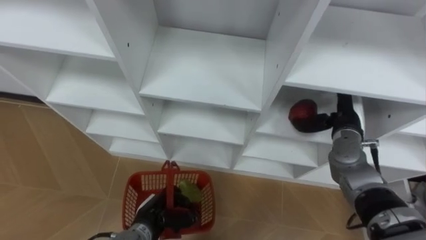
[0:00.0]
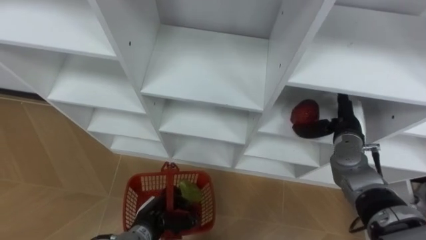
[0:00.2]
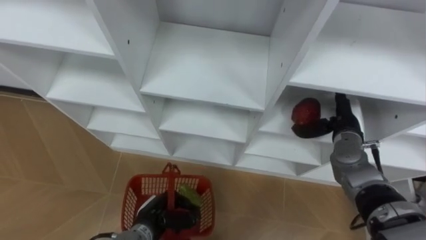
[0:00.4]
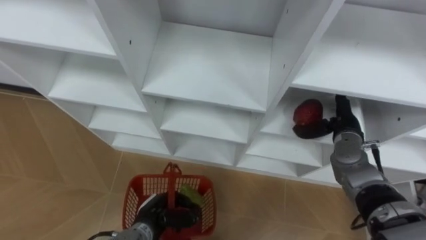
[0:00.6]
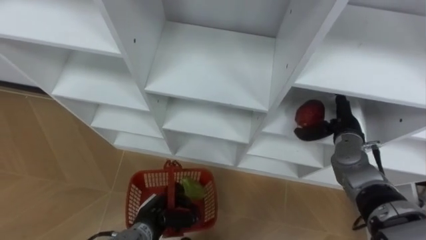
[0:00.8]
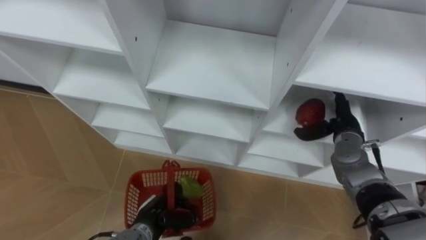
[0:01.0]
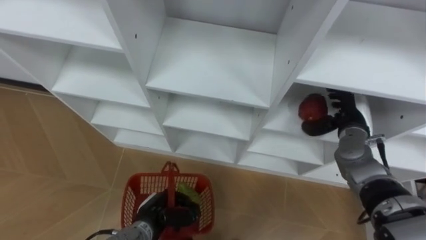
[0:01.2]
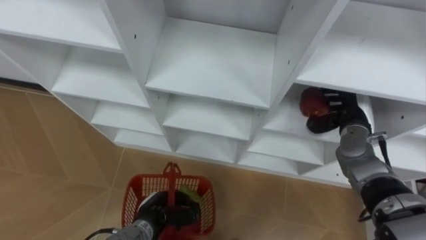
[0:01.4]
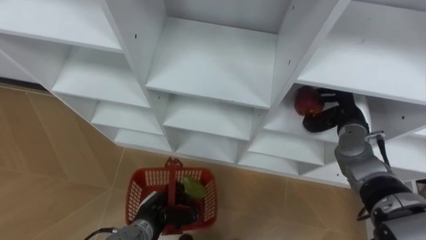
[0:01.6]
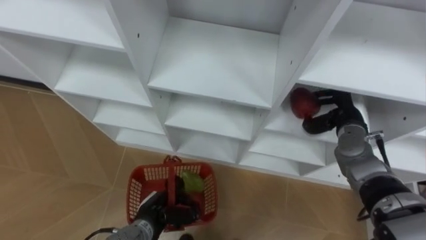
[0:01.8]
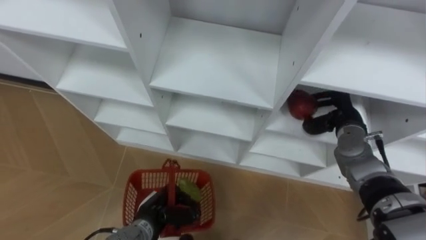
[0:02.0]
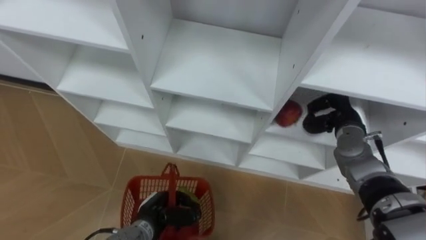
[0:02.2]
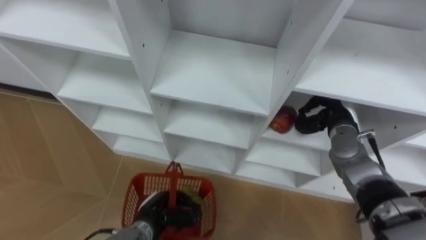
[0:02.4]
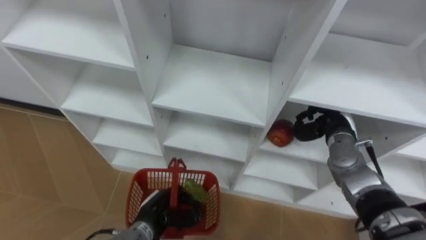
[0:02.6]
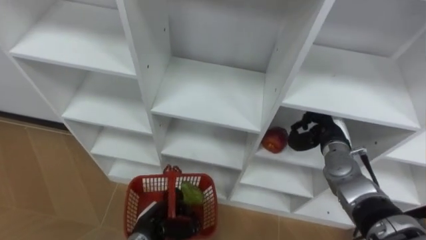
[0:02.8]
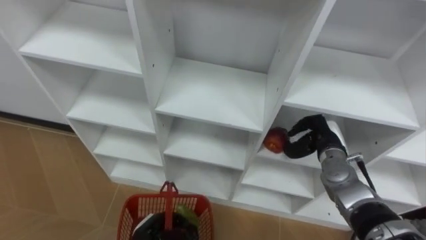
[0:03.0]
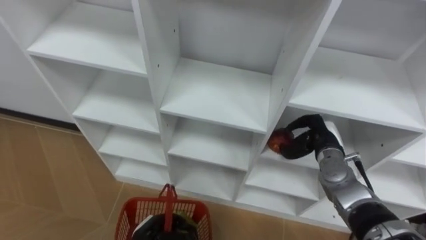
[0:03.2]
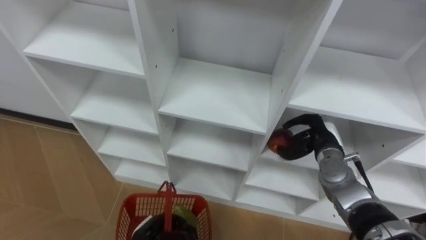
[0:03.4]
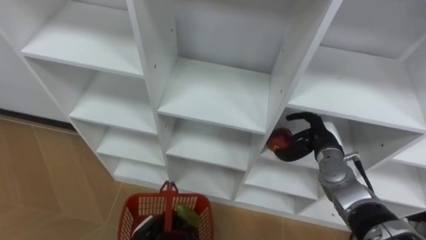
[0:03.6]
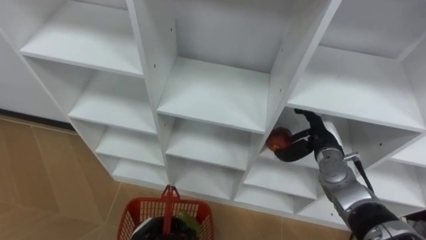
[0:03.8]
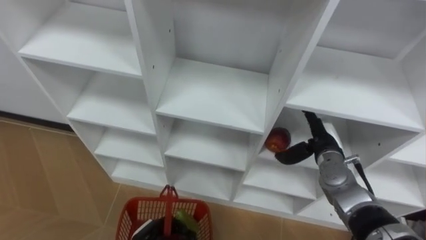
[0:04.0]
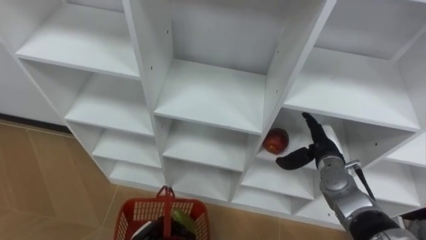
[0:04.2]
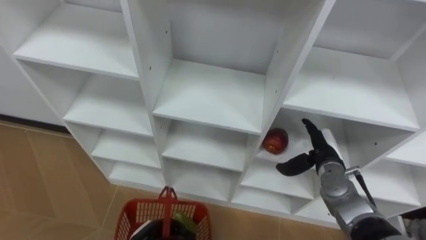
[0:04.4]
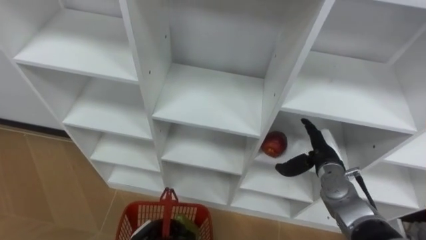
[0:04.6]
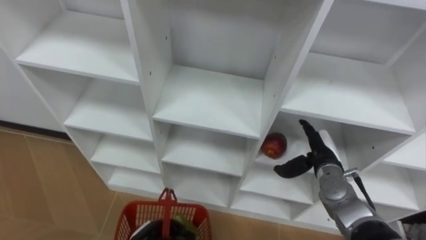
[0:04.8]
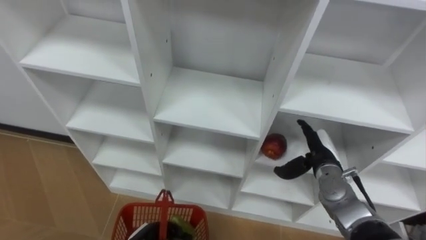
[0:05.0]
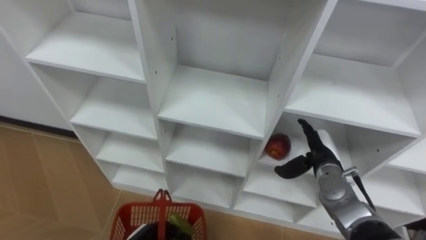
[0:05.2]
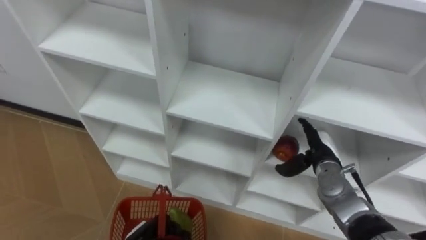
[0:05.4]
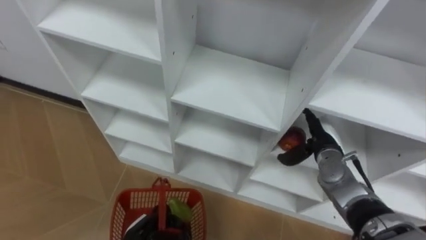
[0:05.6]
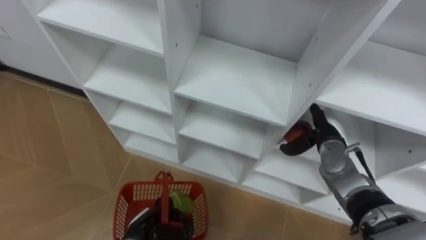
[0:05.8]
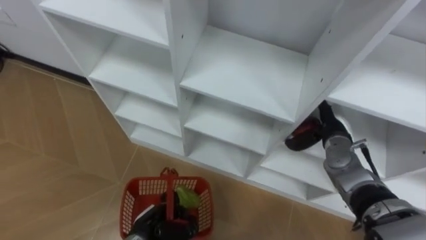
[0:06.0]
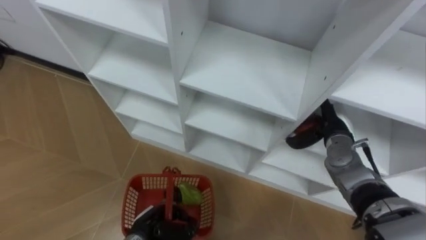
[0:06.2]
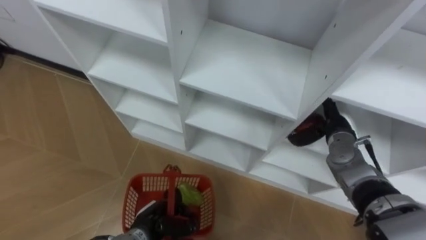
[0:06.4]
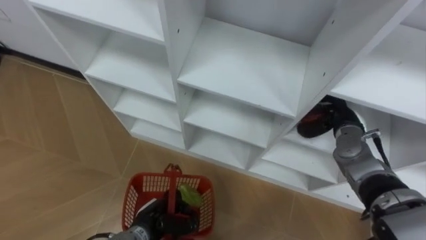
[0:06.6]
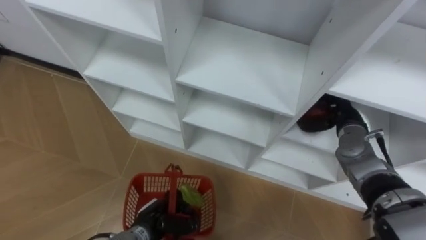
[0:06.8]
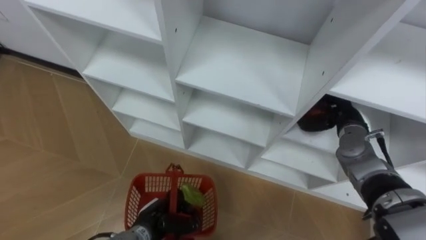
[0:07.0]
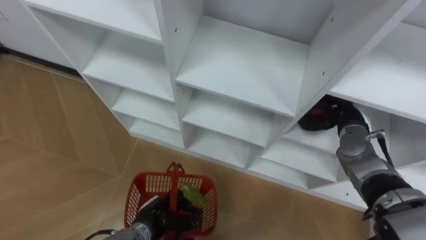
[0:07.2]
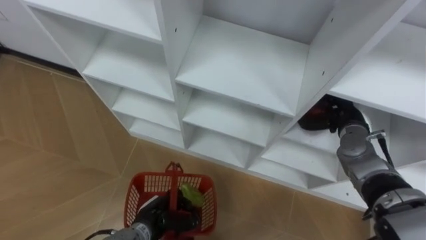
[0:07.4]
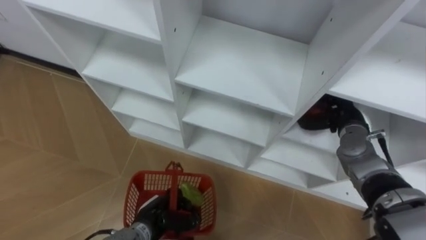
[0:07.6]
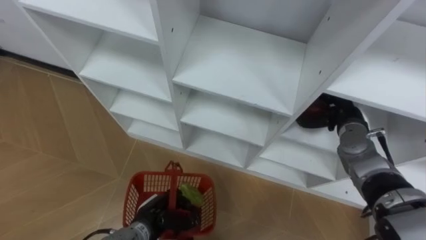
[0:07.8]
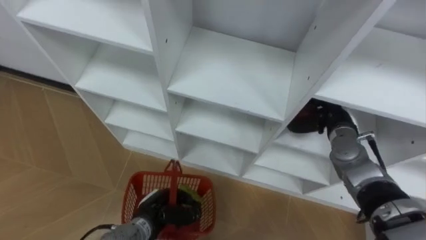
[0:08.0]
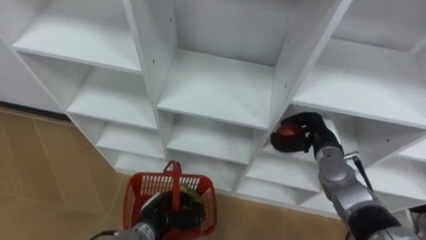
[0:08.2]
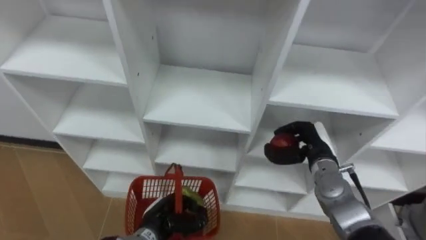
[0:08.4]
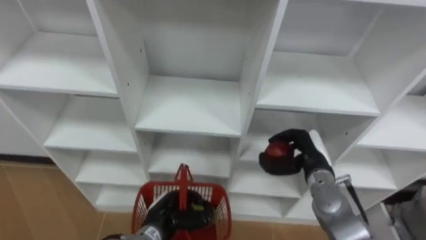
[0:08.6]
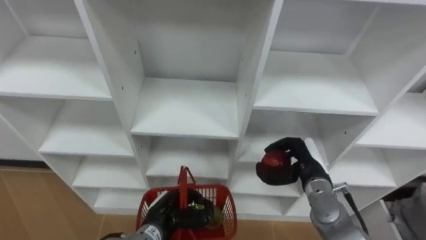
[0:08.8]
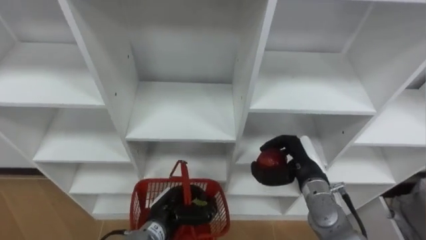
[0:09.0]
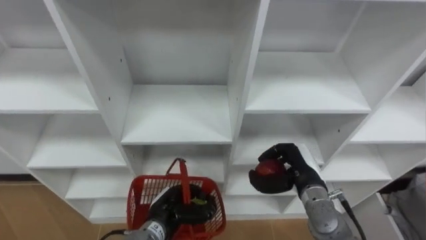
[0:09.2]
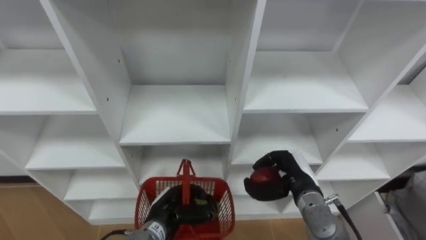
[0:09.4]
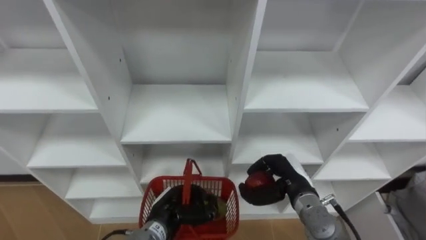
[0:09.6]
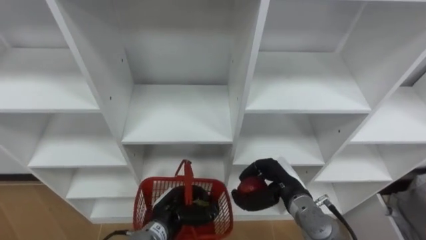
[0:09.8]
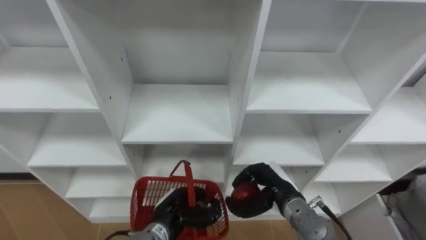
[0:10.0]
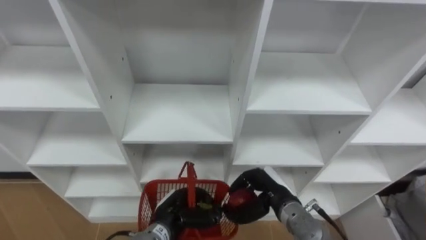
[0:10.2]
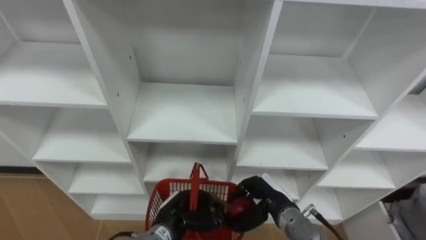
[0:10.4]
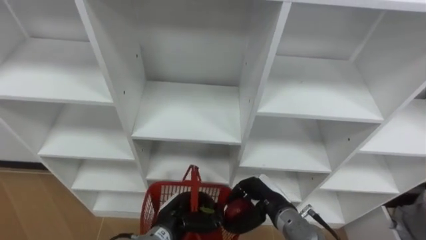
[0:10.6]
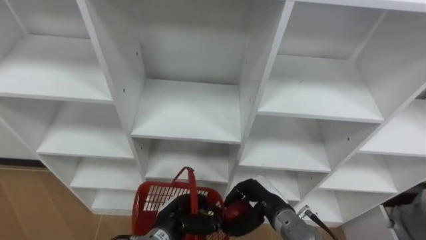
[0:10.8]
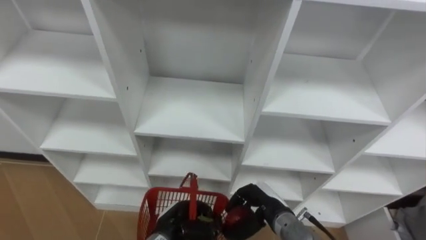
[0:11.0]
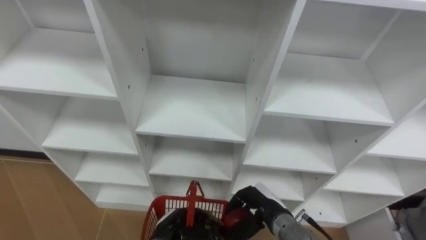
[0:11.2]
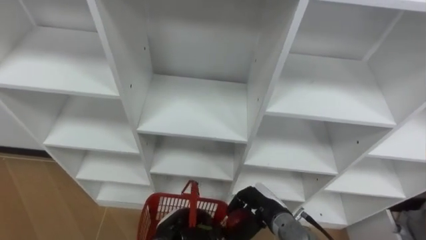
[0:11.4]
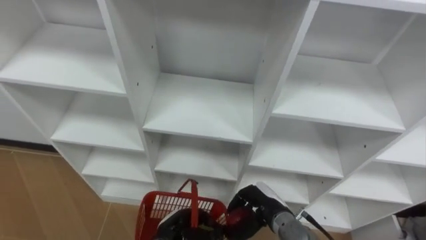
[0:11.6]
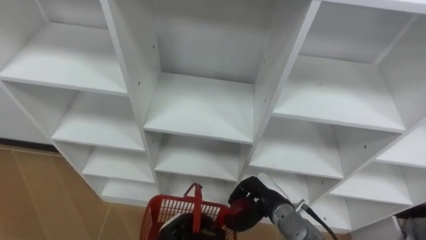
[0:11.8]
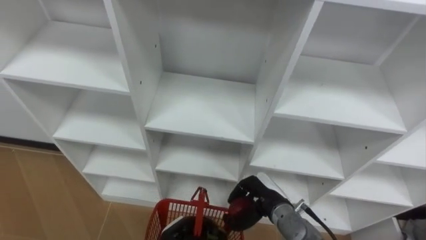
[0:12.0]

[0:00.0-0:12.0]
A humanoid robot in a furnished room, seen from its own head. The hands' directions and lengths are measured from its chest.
Task of the whole recording: Hold the basket and collect the fruits from 3 different cells of the closet into it.
0:00.0 to 0:01.6: The right hand closes its fingers.
0:01.6 to 0:03.0: The right hand shifts by roughly 5 cm.
0:03.0 to 0:04.4: The right hand opens its fingers.
0:04.4 to 0:06.0: The right hand ends up about 5 cm from where it was.
0:06.0 to 0:07.6: The right hand closes.
0:07.6 to 0:09.0: The right hand heads to the left and backward, covering approximately 15 cm.
0:09.0 to 0:10.4: The right hand moves to the left, backward and downward, about 10 cm.
0:10.4 to 0:12.0: The left hand shifts by approximately 5 cm.

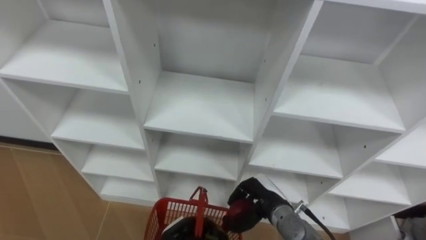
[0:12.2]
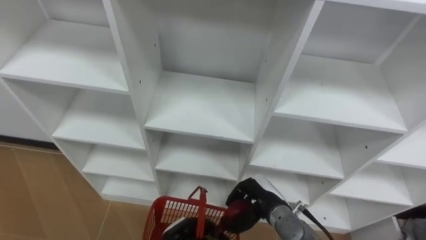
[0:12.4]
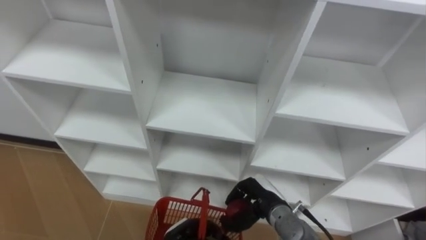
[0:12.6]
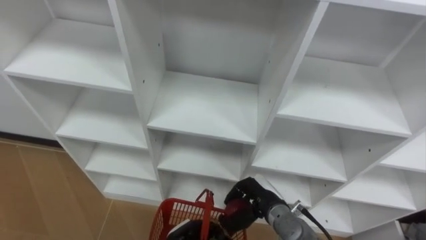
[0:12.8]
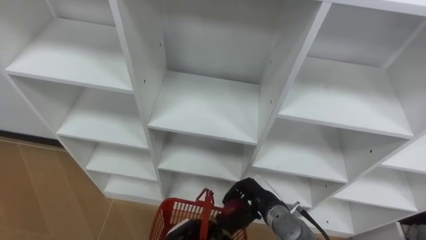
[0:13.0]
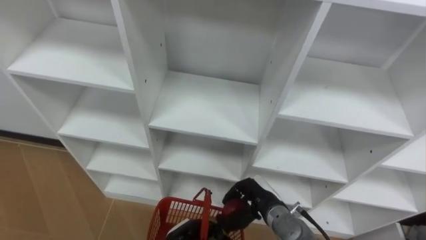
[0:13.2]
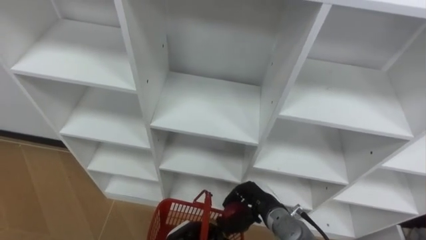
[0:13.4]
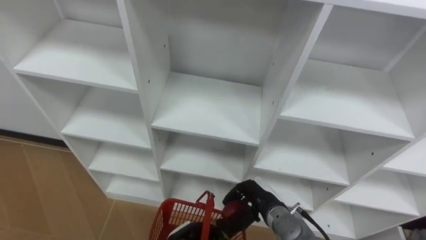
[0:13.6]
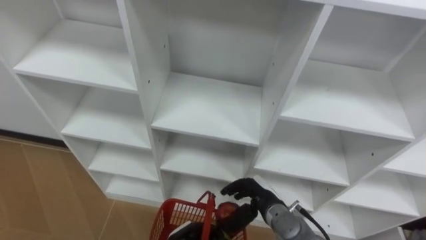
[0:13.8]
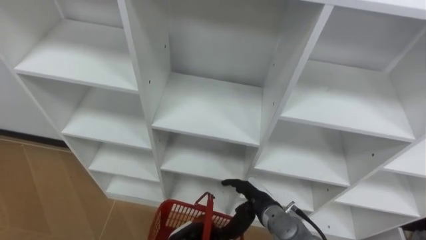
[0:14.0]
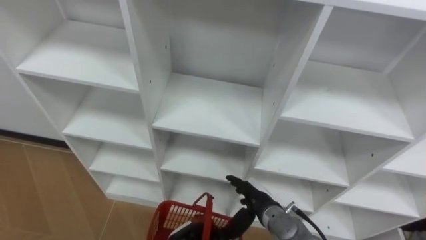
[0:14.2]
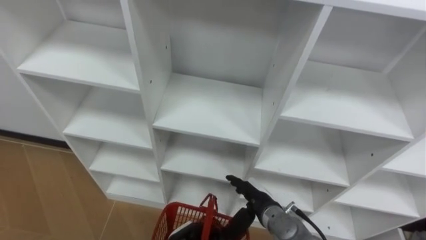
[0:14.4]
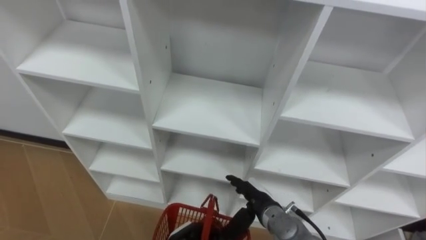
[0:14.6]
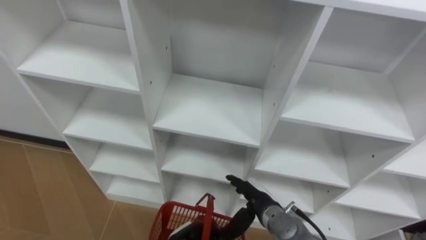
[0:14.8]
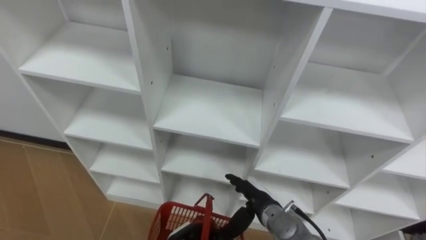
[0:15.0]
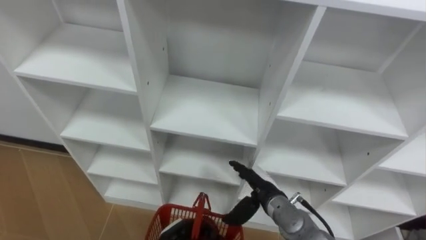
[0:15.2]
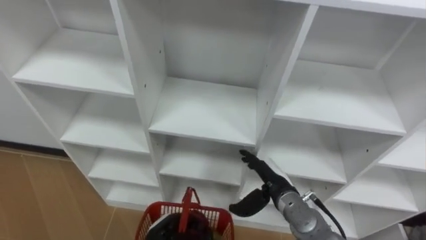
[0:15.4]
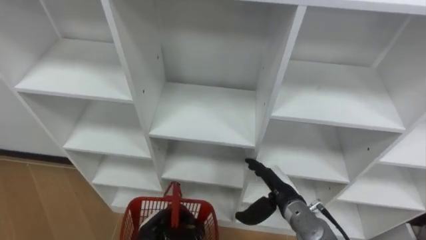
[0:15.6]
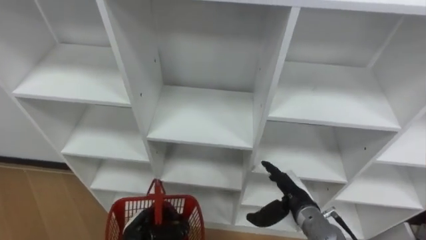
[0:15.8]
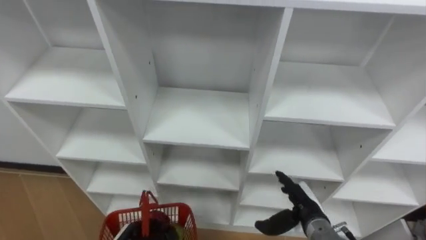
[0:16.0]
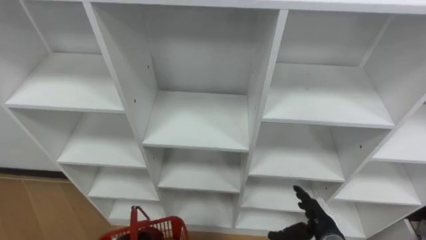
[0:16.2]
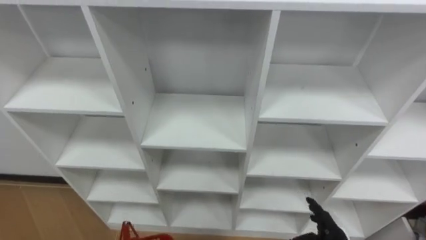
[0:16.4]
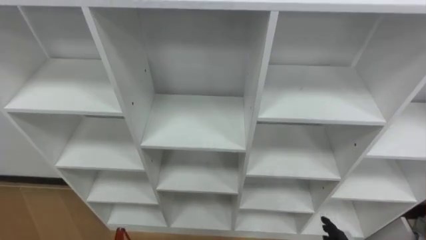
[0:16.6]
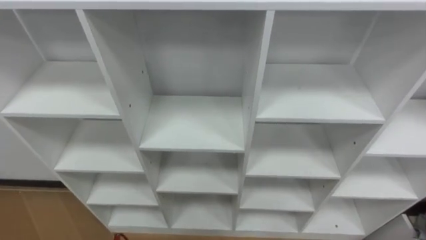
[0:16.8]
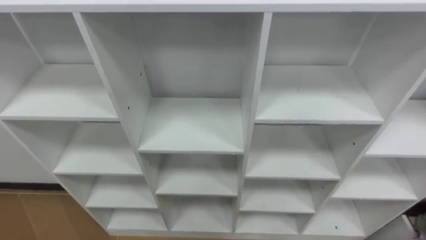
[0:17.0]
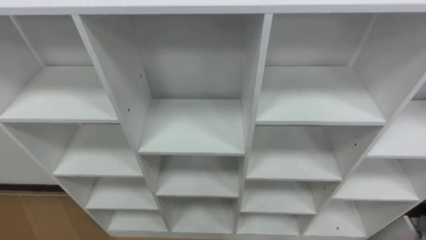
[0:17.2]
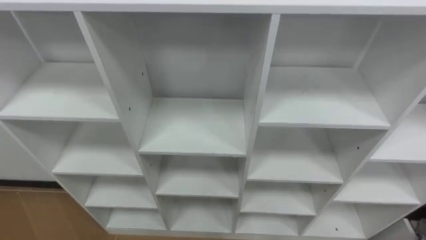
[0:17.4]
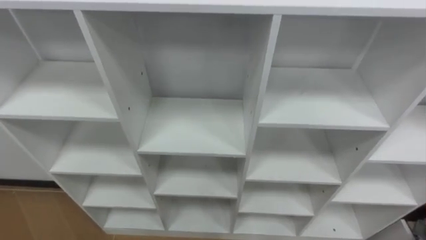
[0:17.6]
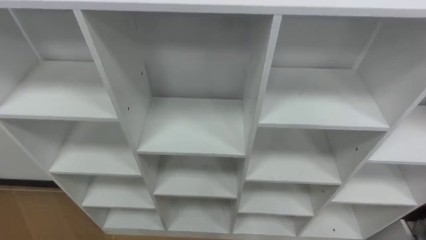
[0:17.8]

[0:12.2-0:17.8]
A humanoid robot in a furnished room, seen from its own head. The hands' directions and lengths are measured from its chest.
Task of the whole recording: Hold the basket and collect the fruits from 3 different cells of the closet into it.
0:13.6 to 0:15.0: The right hand opens up.
0:15.0 to 0:16.4: The right hand moves to the right and backward, about 15 cm.
